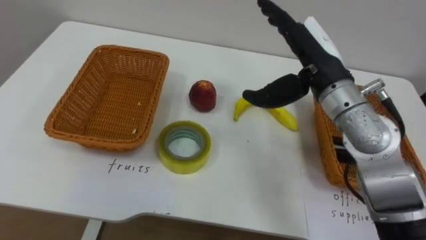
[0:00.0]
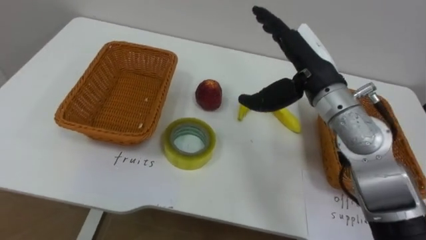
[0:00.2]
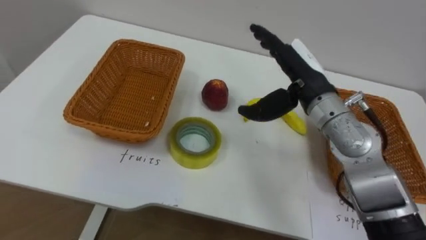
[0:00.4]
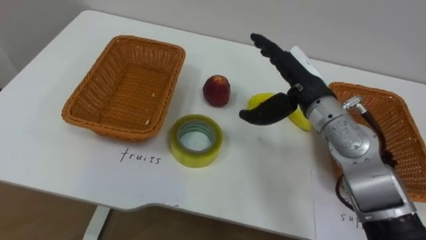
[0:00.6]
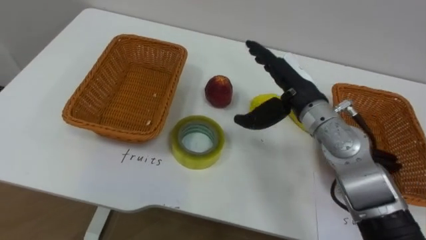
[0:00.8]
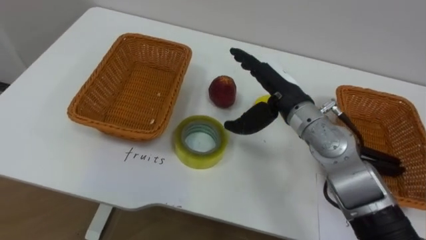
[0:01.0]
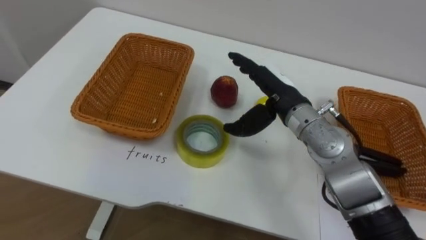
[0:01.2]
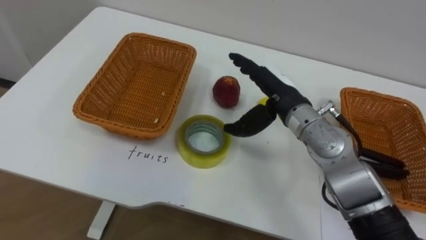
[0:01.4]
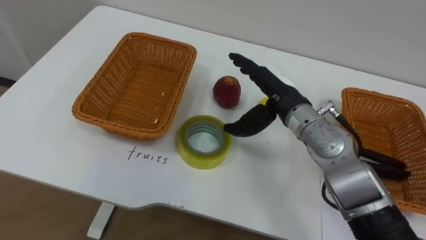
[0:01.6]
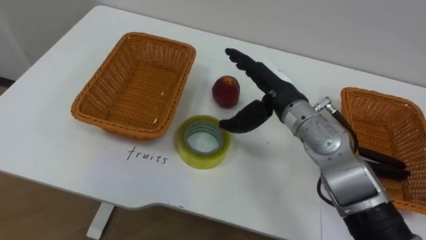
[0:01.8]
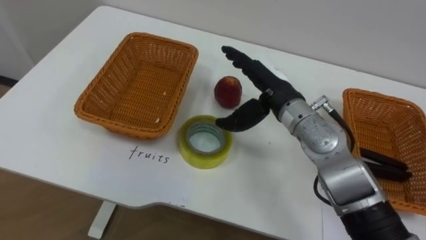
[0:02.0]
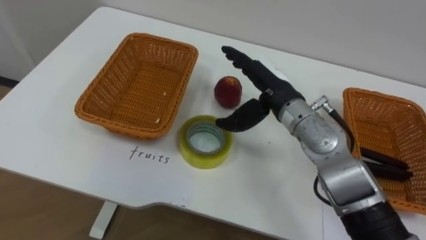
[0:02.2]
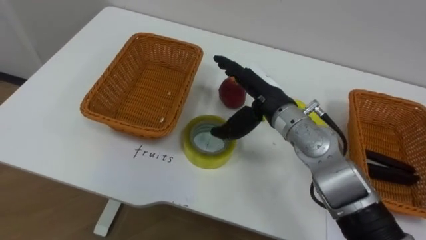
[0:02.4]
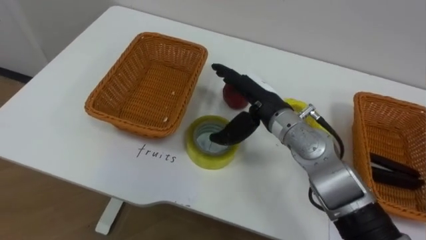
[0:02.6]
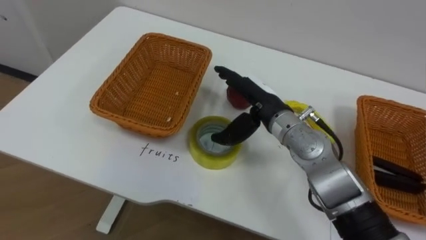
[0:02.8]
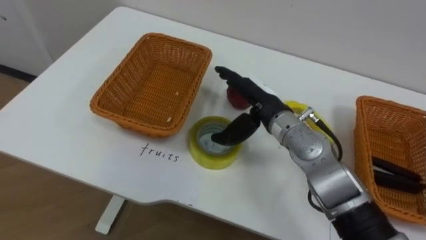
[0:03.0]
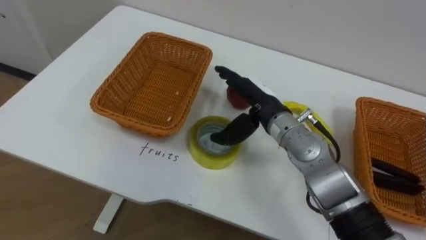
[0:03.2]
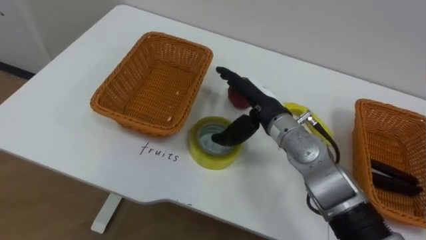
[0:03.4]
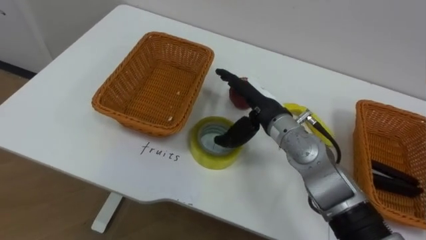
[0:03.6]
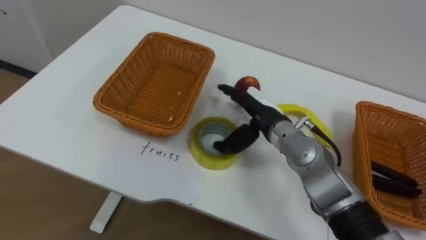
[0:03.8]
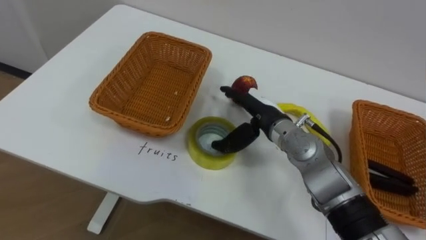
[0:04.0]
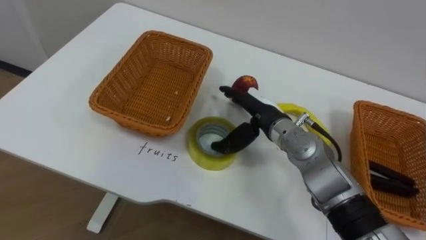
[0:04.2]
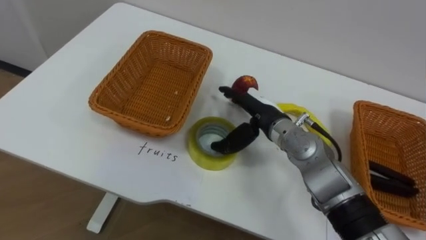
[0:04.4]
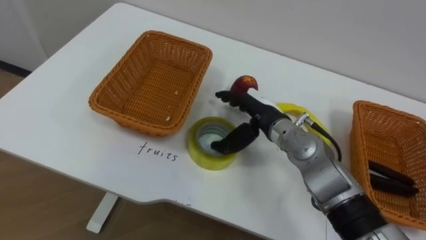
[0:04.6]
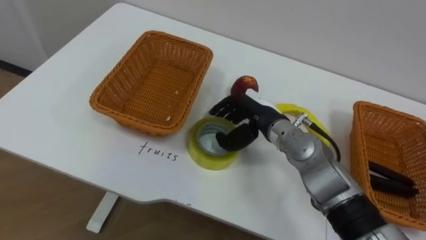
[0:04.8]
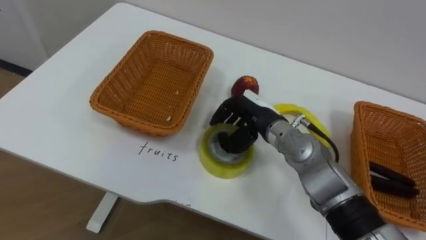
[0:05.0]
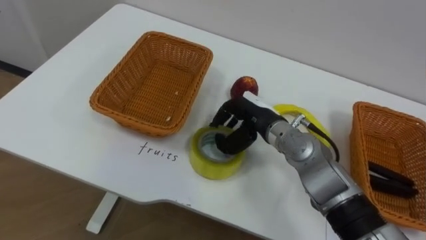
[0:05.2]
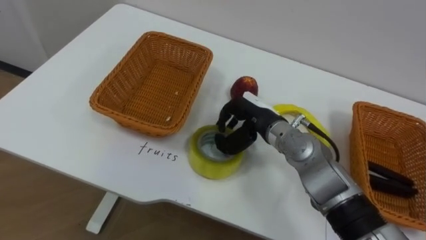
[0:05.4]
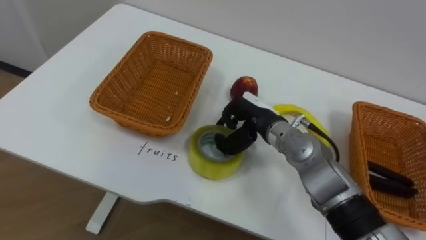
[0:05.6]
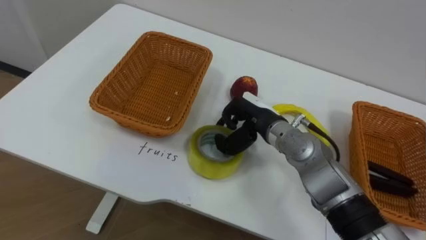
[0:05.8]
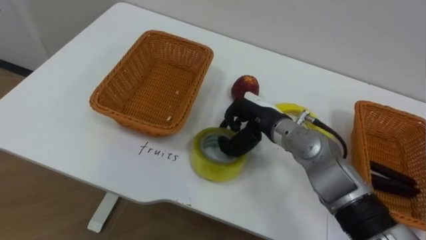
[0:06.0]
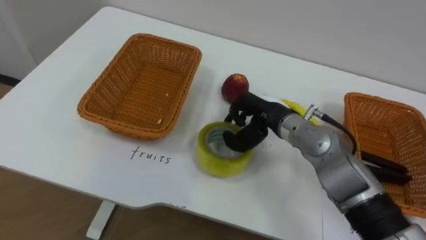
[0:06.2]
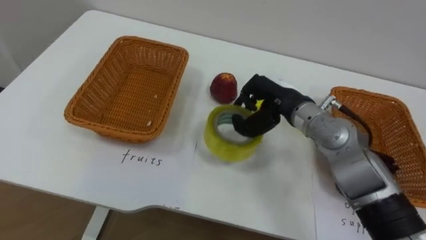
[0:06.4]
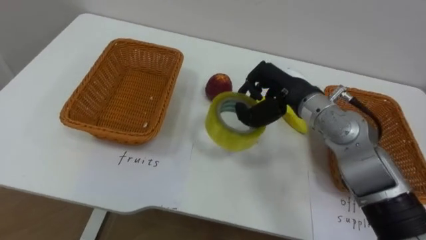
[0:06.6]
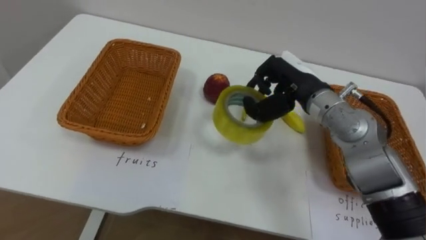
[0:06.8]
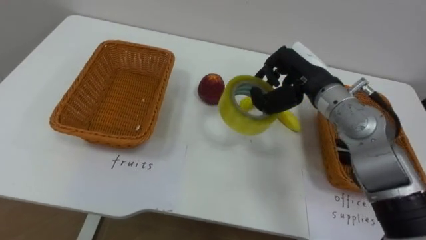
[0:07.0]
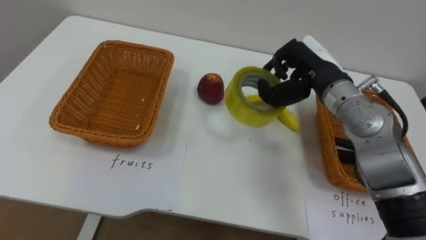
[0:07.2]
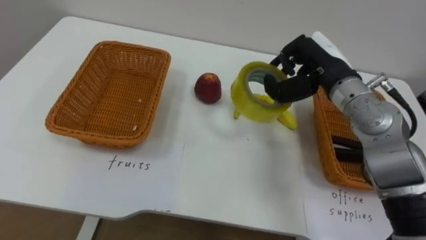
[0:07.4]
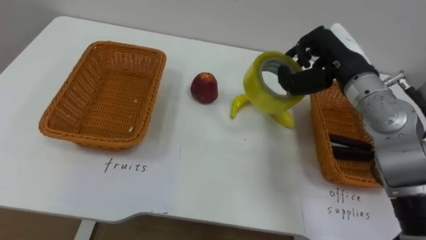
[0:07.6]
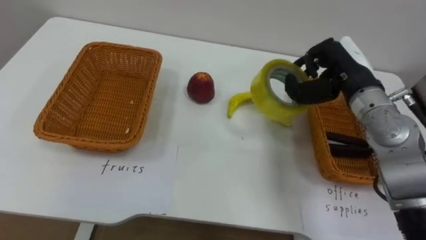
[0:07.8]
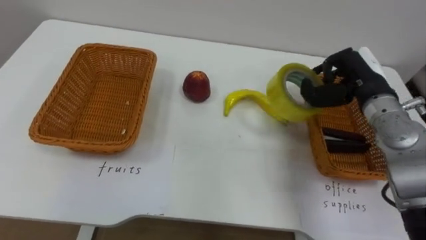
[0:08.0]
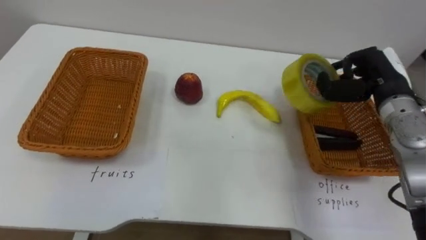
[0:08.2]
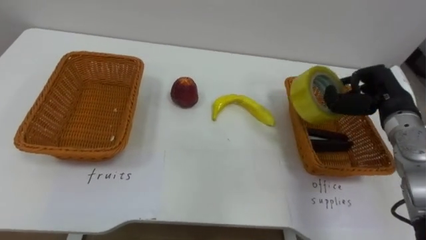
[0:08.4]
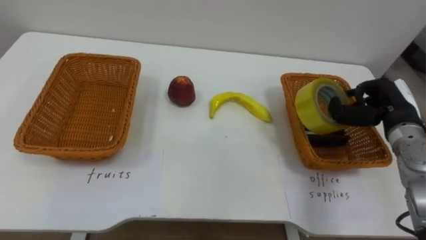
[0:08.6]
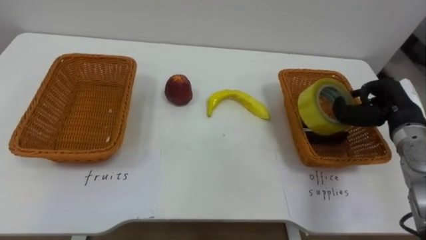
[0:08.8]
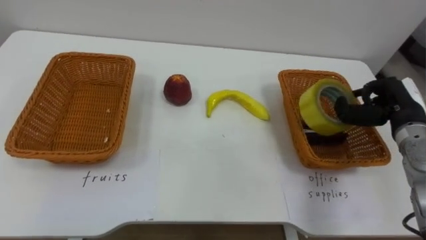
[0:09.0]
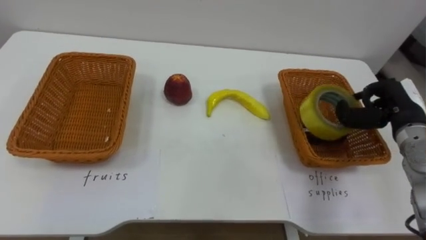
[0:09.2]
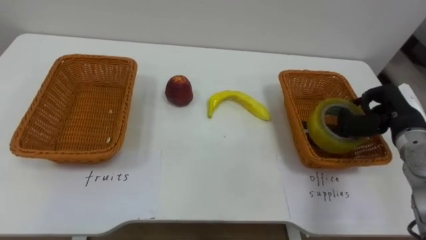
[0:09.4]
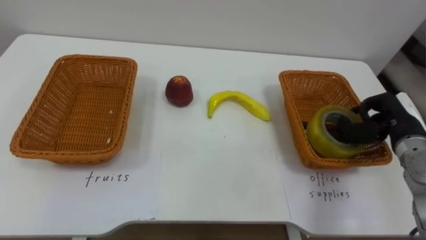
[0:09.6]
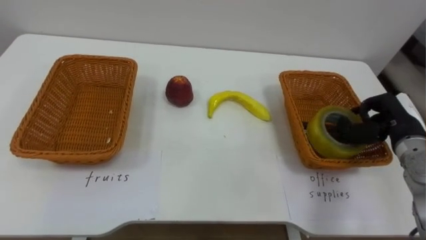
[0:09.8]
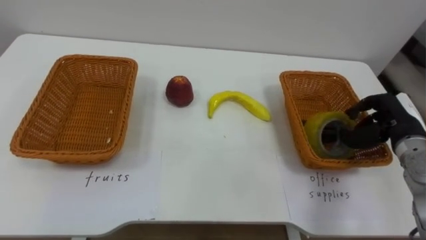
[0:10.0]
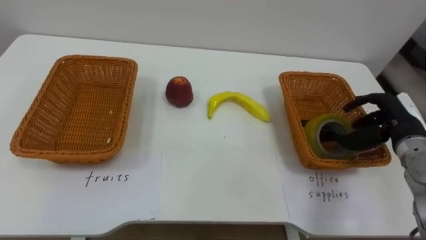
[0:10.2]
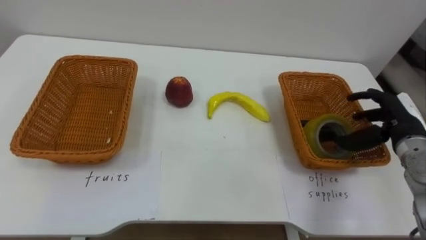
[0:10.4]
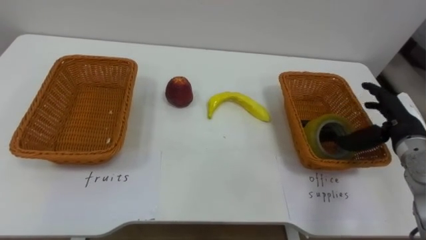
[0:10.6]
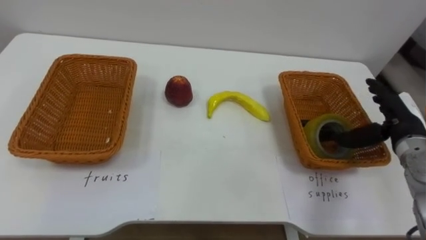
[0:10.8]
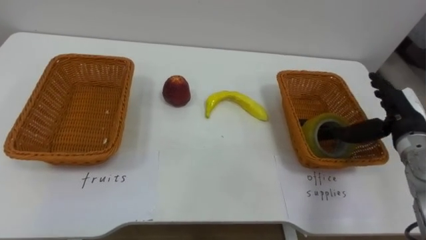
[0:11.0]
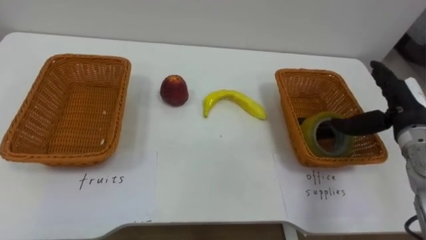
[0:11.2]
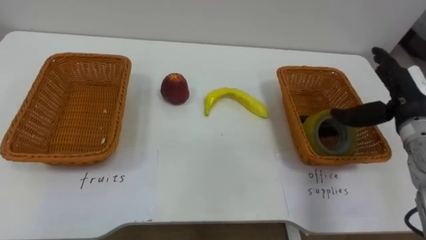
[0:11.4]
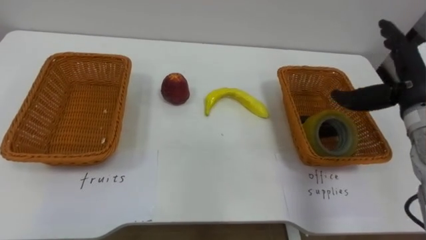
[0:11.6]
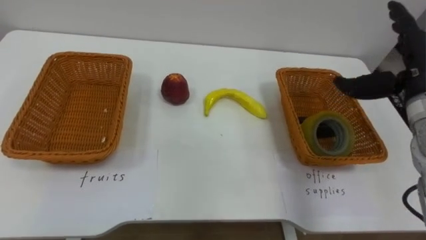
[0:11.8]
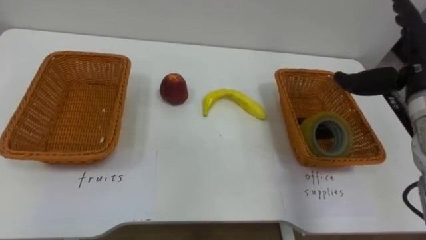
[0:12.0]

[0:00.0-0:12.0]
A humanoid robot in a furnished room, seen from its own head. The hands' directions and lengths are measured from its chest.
Task of the whole recording: Separate the items on the table and place them into the two baskets.
0:00.0 to 0:01.6: The right hand is displaced downward by approximately 10 cm.
0:04.4 to 0:06.0: The right hand closes its fingers.
0:06.0 to 0:07.6: The right hand is displaced to the right and upward by about 15 cm.
0:07.6 to 0:09.0: The right hand travels to the right and downward by roughly 15 cm.
0:09.0 to 0:10.4: The right hand opens its fingers.
0:10.4 to 0:12.0: The right hand shifts roughly 10 cm upward.

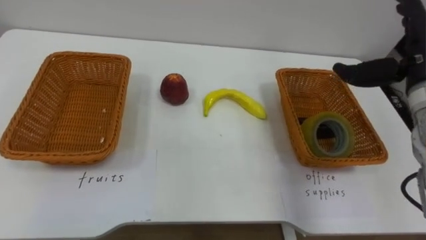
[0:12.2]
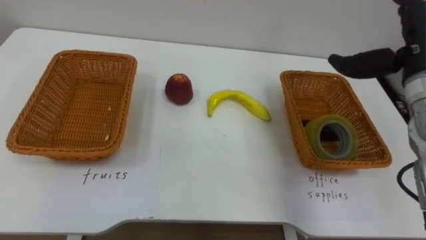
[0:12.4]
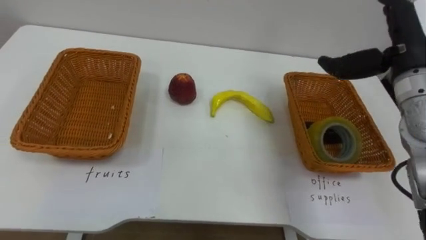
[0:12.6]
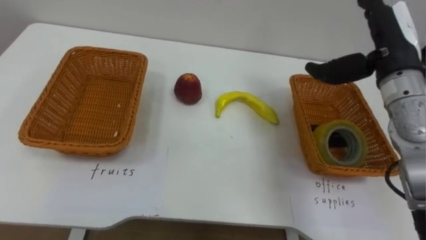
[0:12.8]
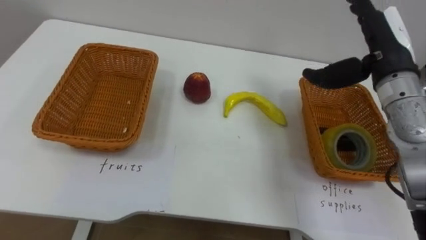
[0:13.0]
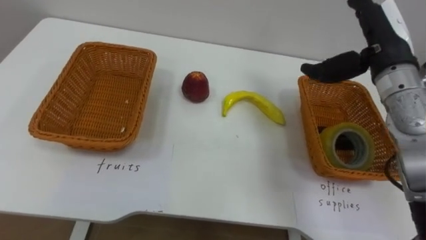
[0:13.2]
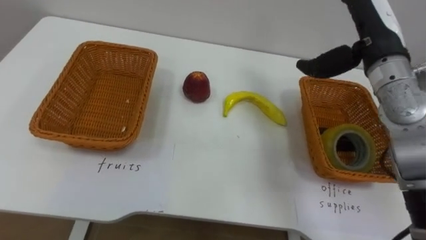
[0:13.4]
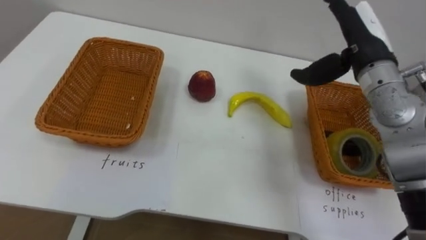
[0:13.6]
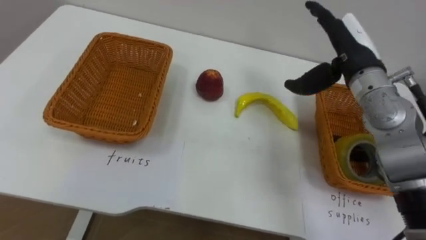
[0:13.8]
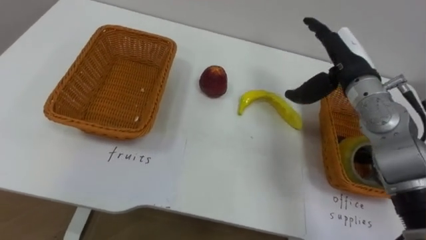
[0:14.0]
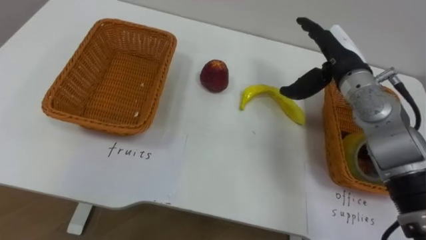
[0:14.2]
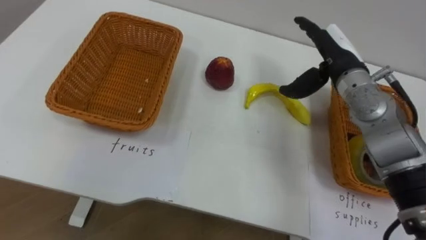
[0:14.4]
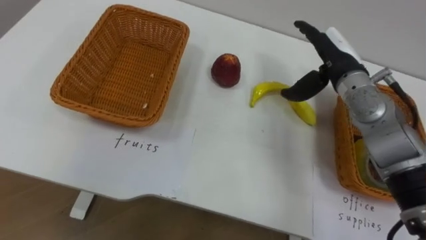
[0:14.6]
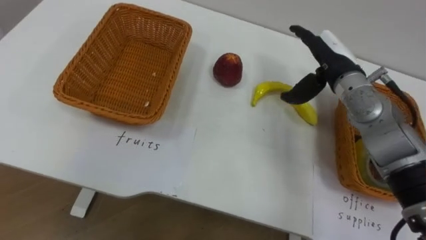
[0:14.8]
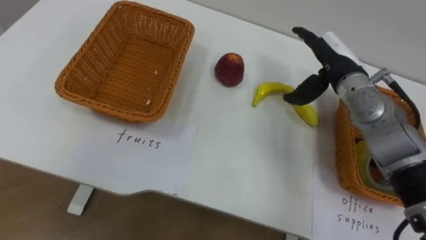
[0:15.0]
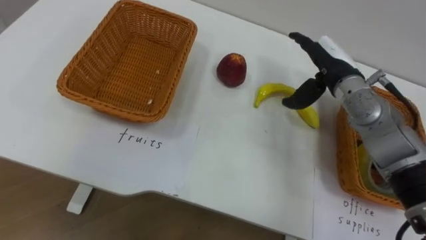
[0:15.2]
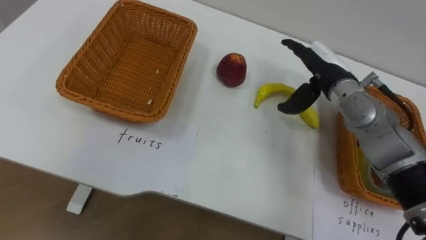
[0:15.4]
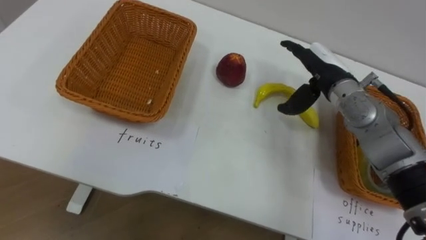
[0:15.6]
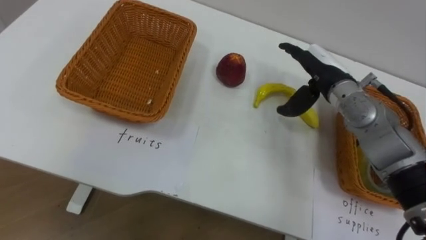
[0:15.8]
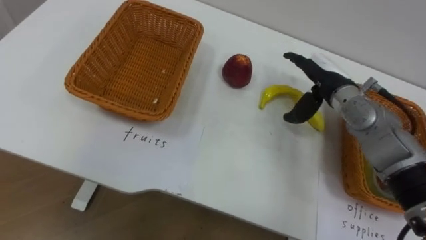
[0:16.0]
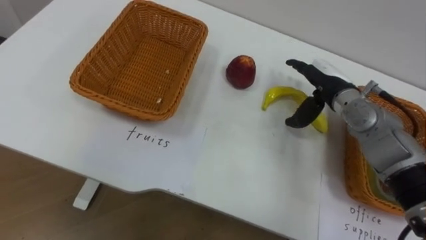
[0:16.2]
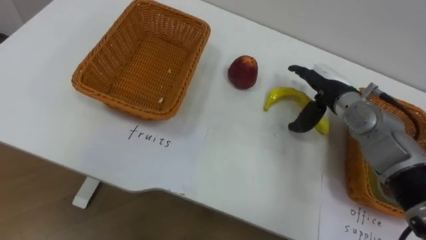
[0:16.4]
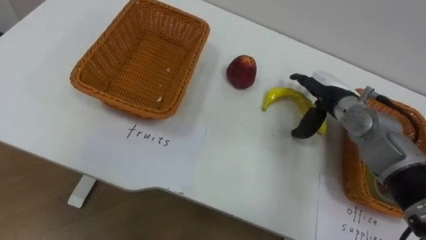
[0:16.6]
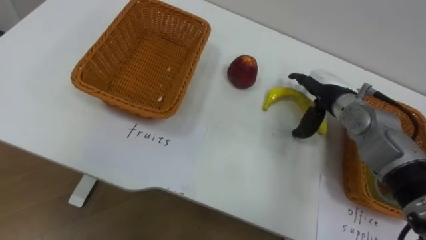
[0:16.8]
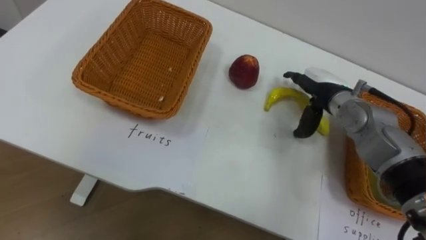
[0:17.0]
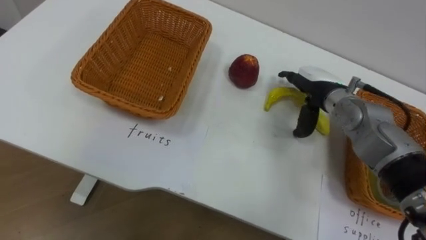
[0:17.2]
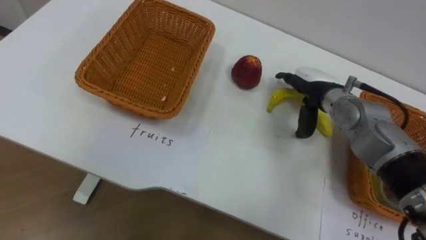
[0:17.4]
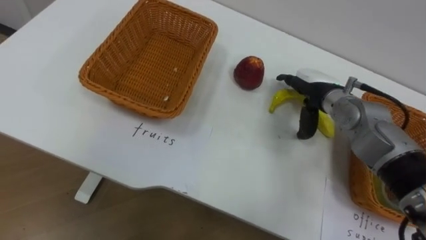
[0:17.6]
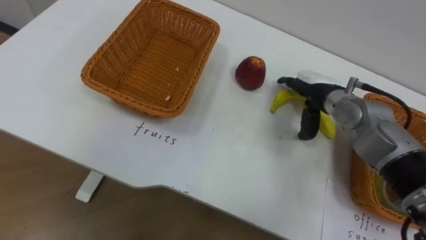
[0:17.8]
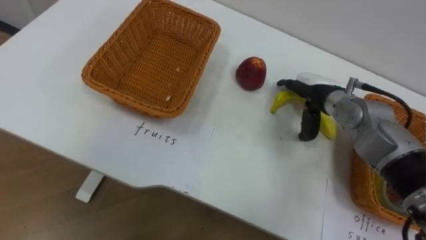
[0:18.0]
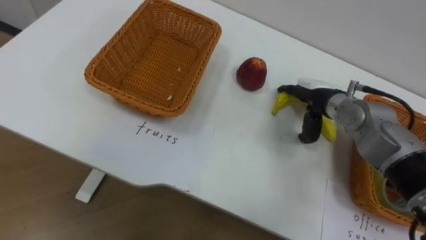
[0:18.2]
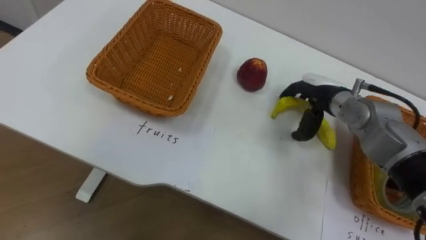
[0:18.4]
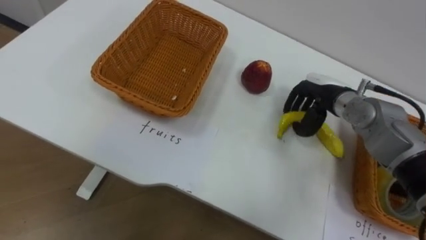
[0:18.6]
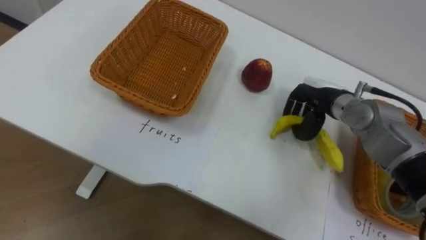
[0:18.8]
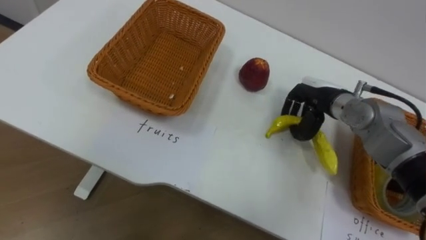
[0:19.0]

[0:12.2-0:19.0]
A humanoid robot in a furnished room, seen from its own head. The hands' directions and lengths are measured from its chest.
Task of the whole recording: Separate the items on the table and place them into the two baskets.
0:12.2 to 0:13.6: The right hand heads to the left, covering approximately 10 cm.
0:13.6 to 0:15.0: The right hand moves downward, about 5 cm.
0:17.6 to 0:19.0: The right hand closes up.
